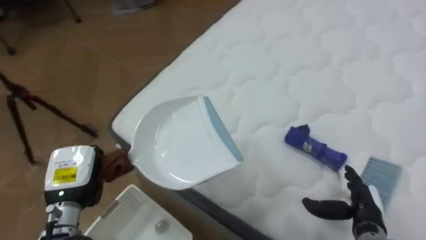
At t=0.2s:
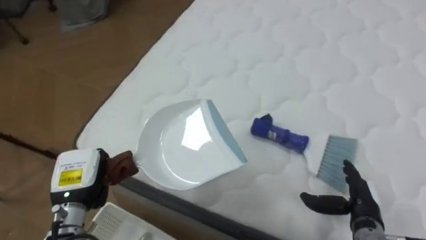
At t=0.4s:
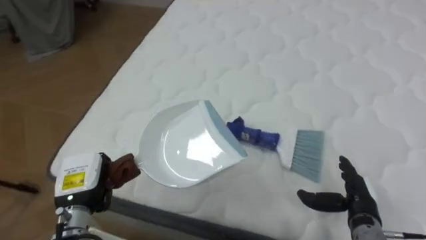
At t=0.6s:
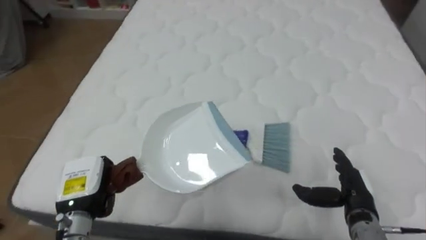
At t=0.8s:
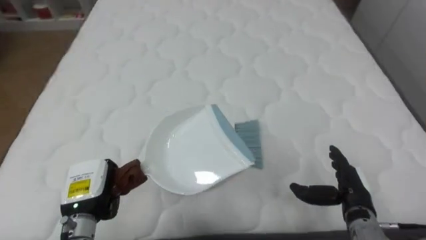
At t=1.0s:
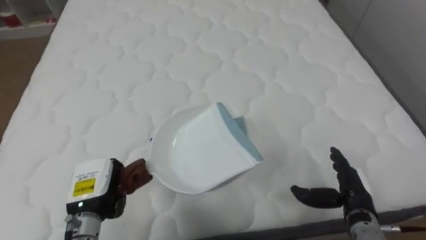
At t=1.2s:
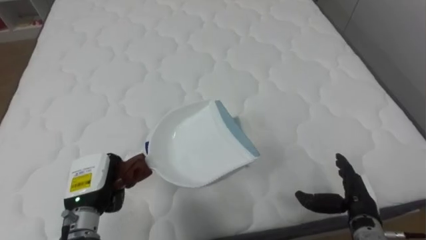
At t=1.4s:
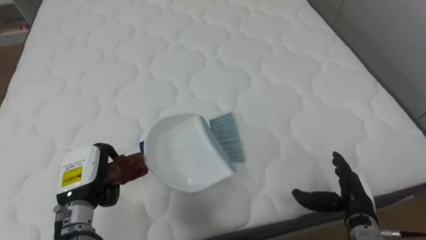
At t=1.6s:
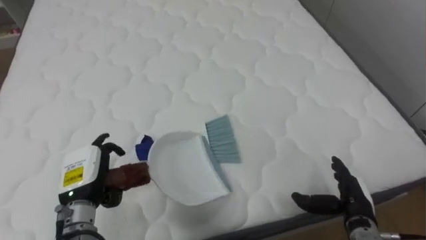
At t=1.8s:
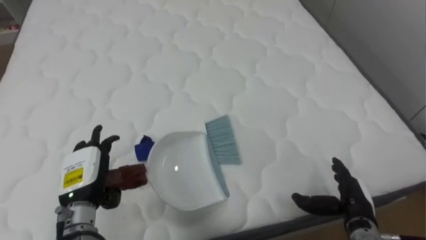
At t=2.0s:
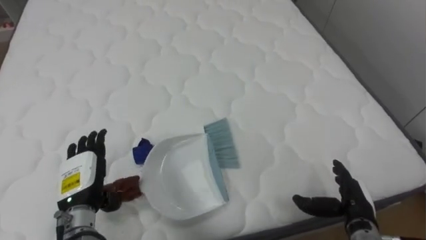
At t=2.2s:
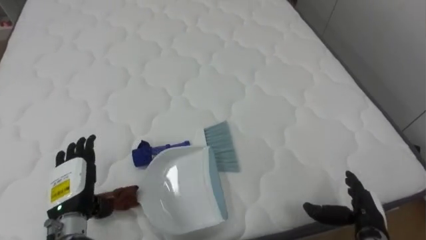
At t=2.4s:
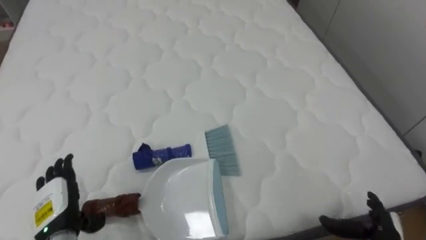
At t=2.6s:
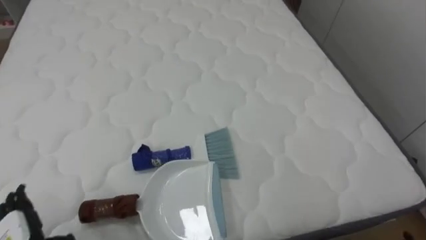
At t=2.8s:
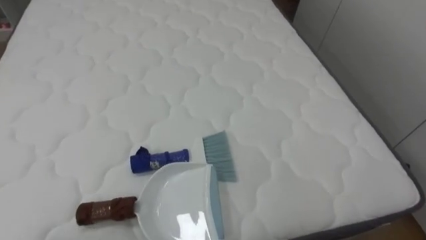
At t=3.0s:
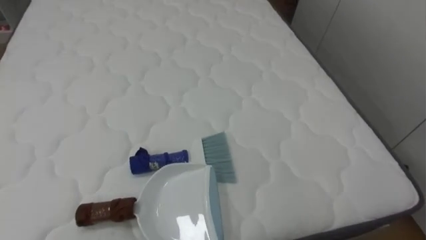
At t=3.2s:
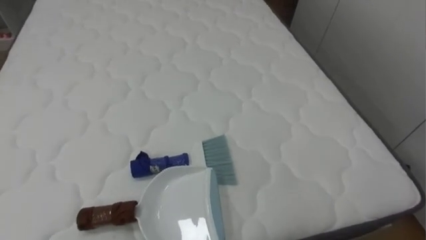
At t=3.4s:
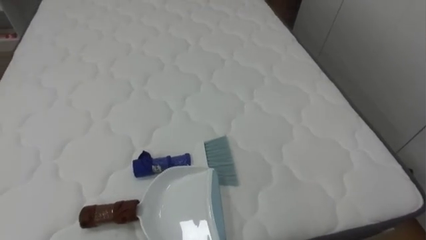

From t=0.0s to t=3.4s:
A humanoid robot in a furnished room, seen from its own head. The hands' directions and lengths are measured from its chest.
Task of the whole recording: Pick up the brush on your right and the dustpan on your left. Use the brush to sweep the crumpled paper on the bed into the dustpan, then turn left and empty it into the basket.
From t=0.0s to t=1.6s: The robot faces approximately 45 degrees further to its right. The left hand opens its fingers.

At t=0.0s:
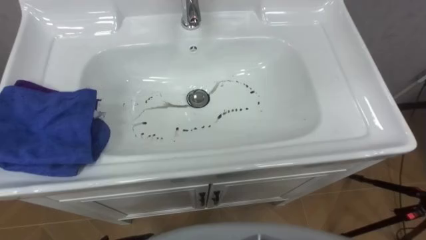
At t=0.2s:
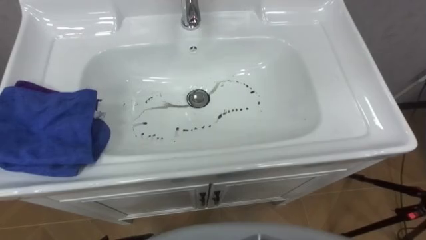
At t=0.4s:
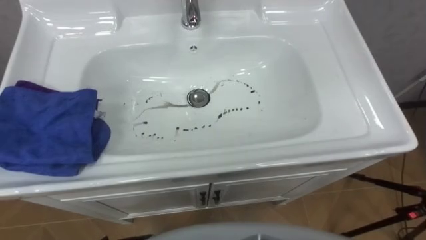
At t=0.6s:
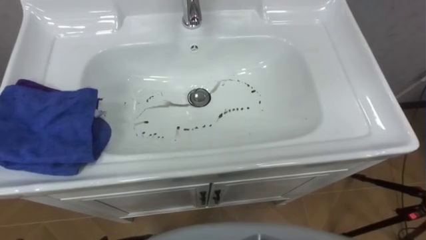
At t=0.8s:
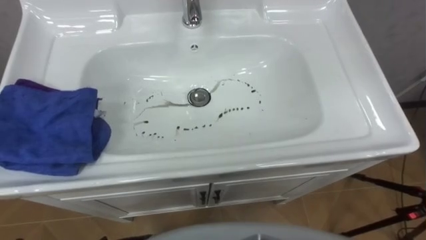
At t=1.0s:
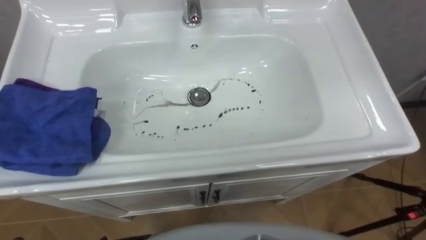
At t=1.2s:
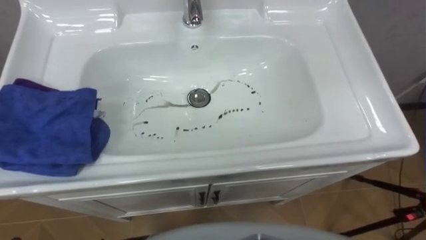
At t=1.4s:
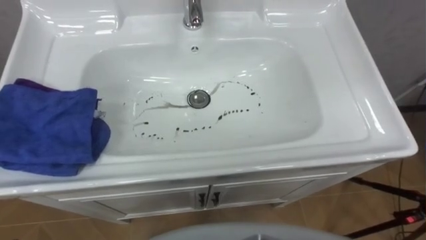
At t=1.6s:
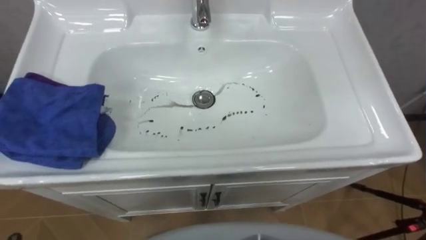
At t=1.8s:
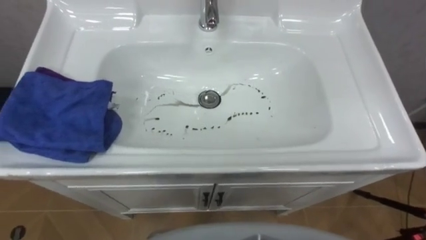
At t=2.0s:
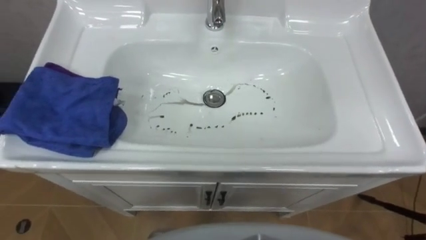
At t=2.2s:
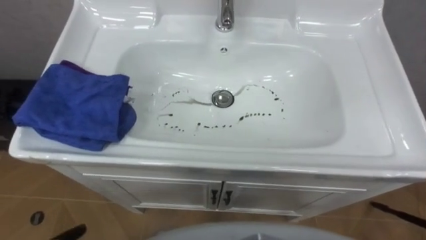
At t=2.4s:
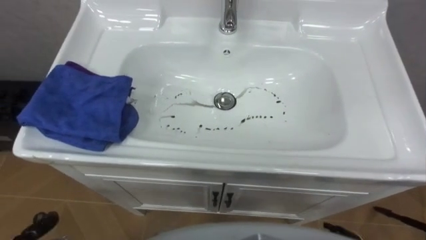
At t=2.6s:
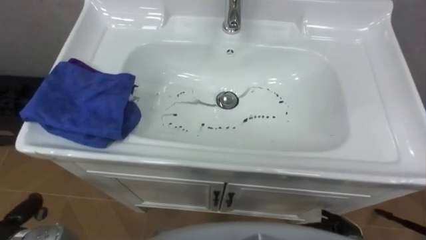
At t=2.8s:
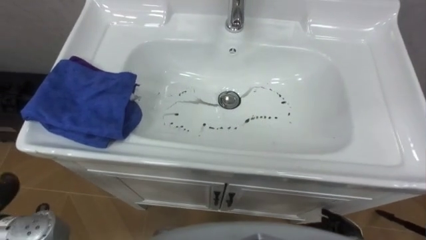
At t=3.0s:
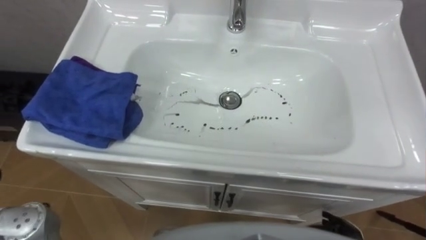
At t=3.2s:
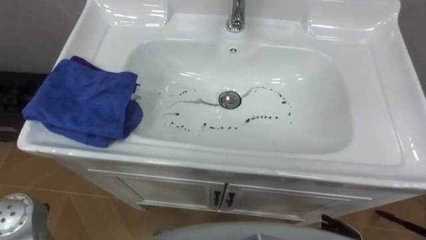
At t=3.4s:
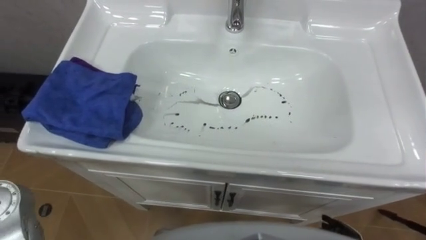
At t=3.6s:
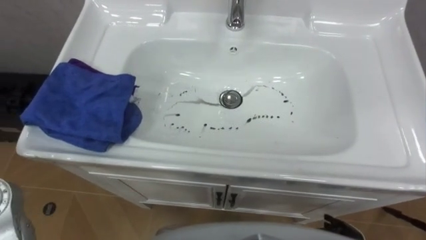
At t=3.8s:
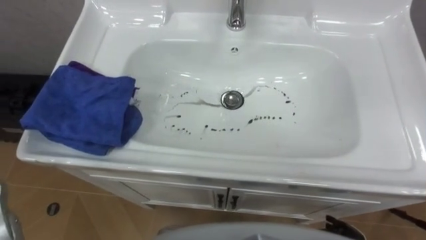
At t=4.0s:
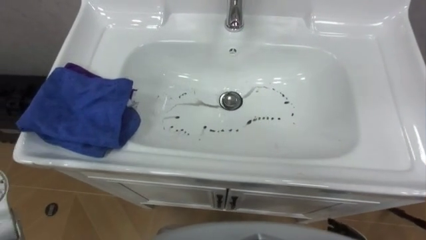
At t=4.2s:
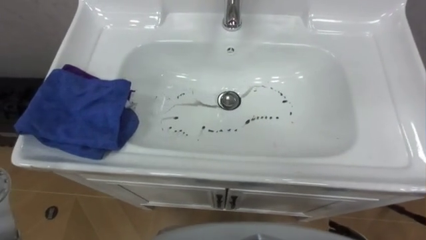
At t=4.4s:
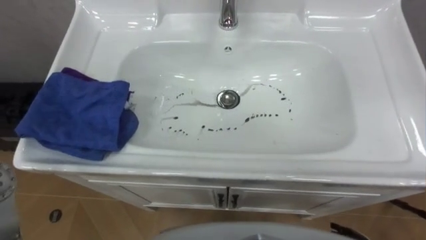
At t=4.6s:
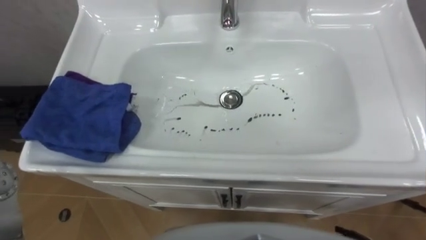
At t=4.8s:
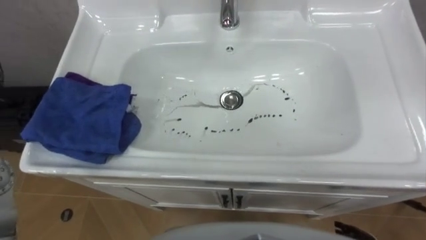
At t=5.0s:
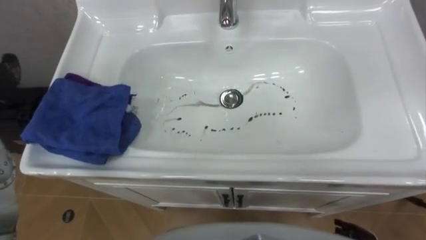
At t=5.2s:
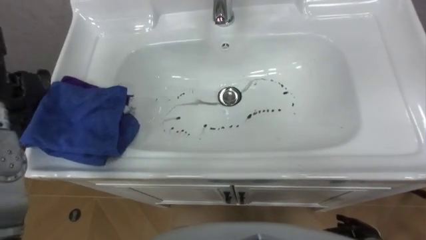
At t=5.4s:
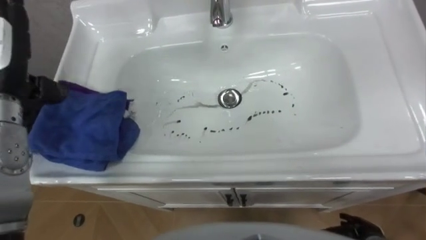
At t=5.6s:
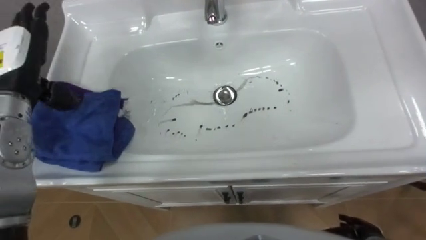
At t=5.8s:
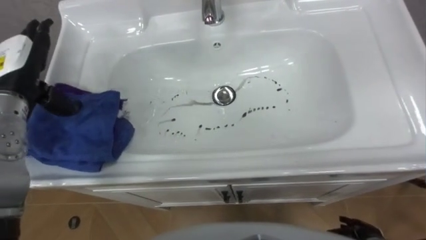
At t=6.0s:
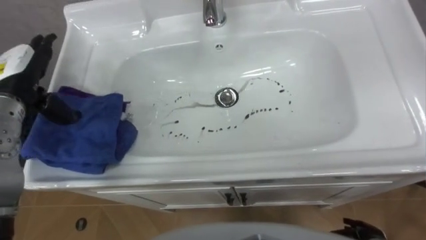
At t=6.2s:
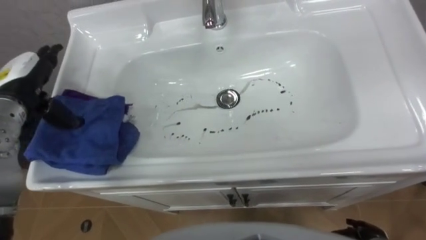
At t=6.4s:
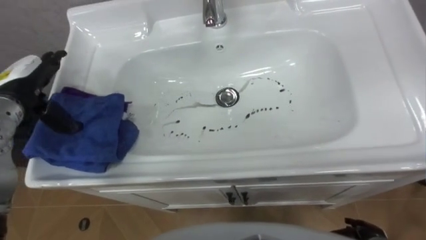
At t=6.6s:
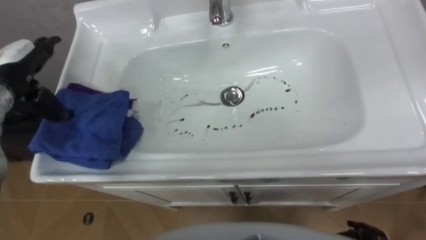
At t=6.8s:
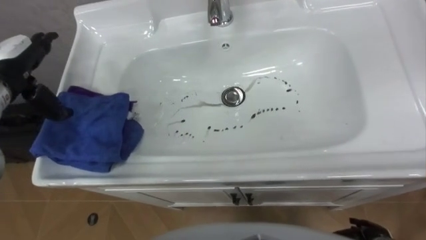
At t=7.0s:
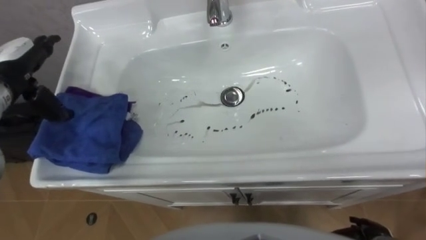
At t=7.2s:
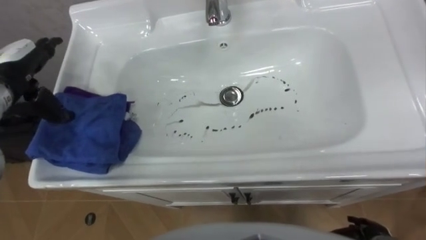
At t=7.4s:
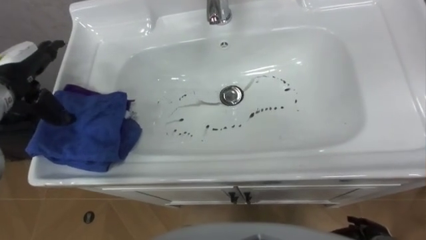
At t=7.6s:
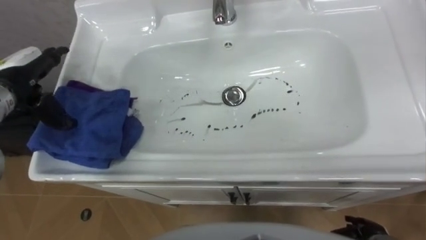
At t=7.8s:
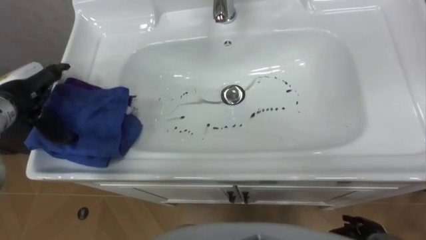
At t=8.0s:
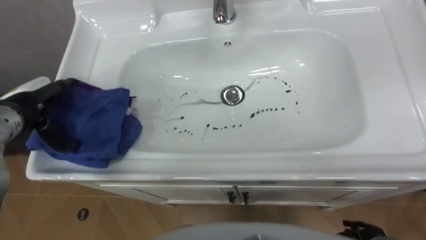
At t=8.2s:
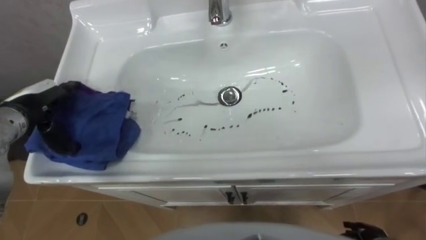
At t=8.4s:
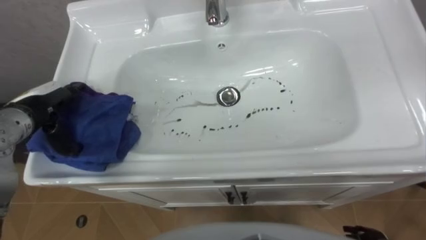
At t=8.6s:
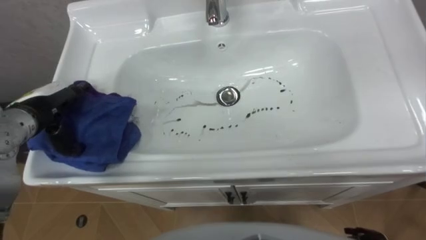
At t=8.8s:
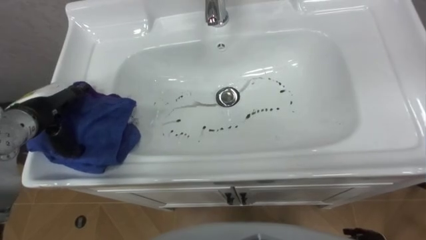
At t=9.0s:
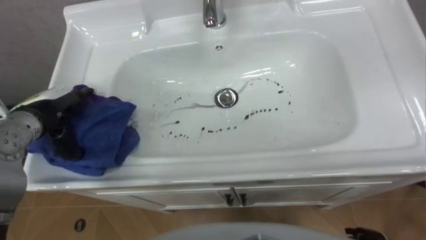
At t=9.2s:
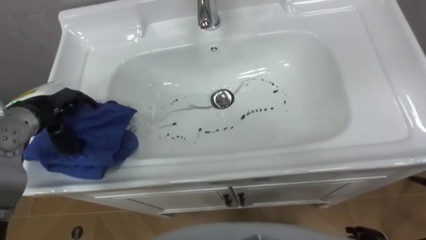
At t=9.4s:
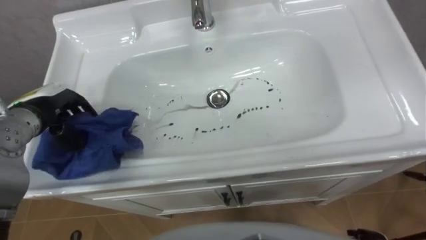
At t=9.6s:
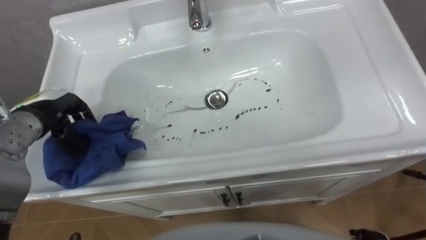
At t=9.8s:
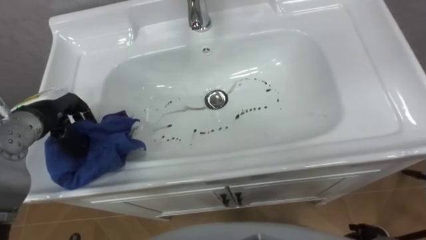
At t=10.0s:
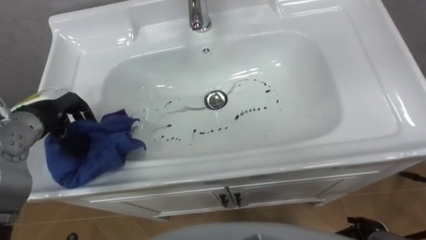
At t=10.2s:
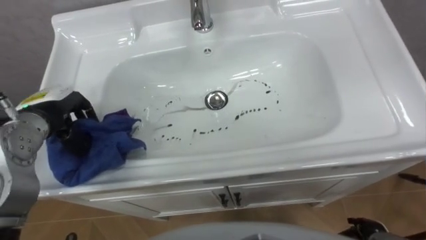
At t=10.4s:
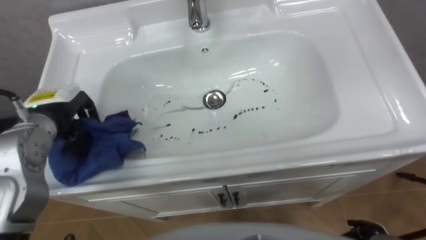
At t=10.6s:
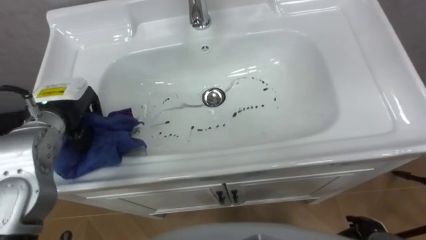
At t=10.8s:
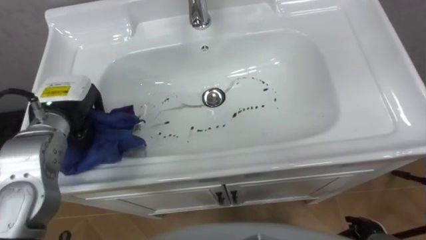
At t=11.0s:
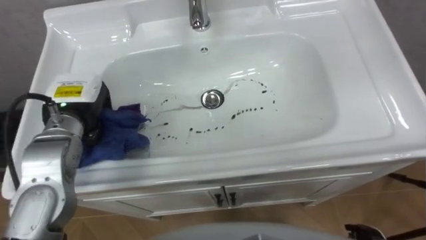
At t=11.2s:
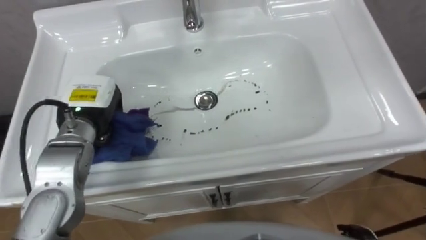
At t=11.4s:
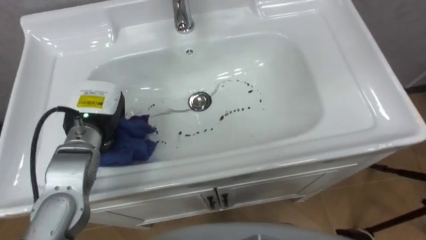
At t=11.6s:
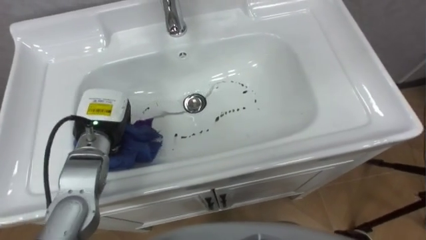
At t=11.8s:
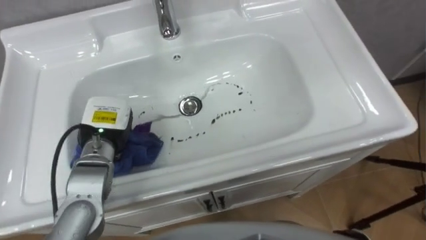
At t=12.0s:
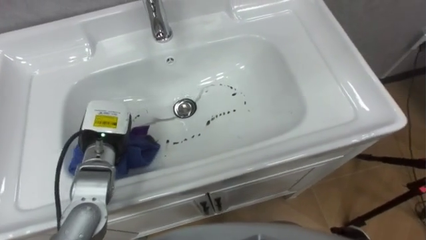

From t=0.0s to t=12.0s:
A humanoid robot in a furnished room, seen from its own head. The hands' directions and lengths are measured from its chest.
Task of the whole recording: Use the cloth on the right to wipe away the black stain in the sink.
From t=7.6s to t=9.0s: The left hand heads downward, covering about 5 cm.
From t=9.0s to t=10.4s: The left hand closes.
From t=10.4s to t=12.0s: The left hand is displaced to the right and downward by roughly 10 cm.

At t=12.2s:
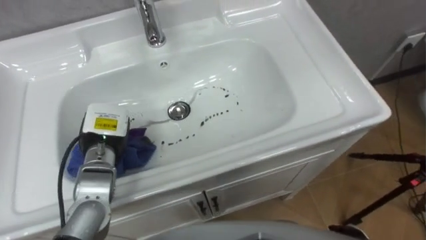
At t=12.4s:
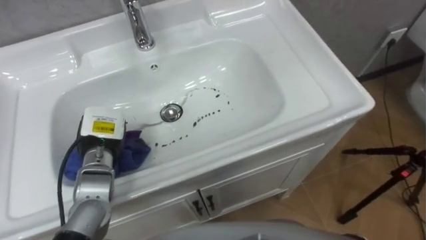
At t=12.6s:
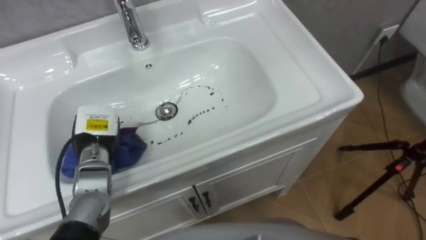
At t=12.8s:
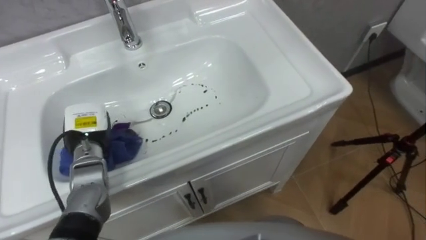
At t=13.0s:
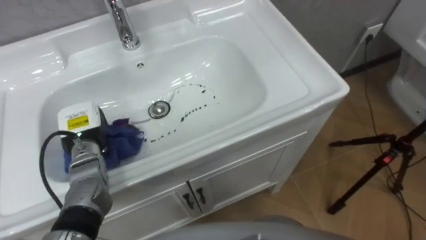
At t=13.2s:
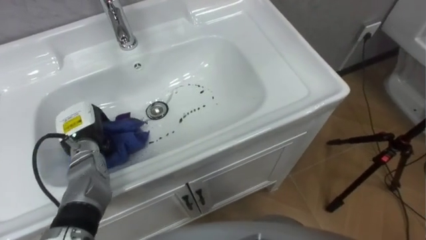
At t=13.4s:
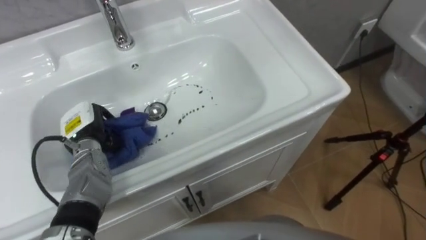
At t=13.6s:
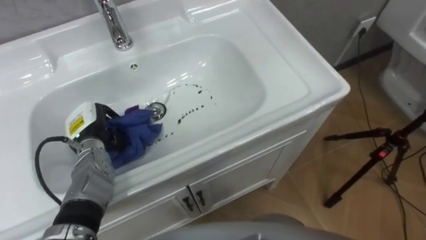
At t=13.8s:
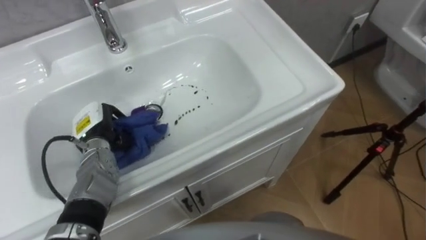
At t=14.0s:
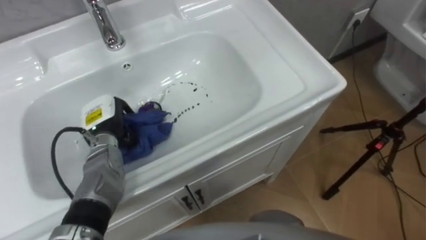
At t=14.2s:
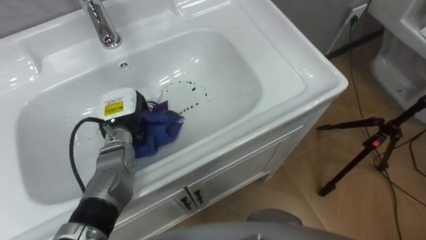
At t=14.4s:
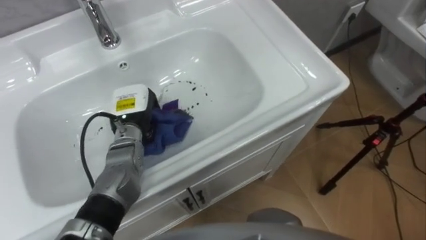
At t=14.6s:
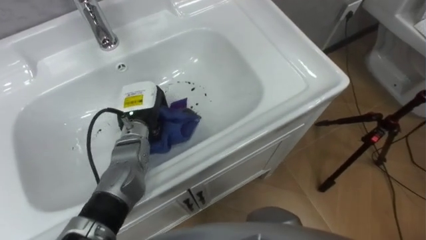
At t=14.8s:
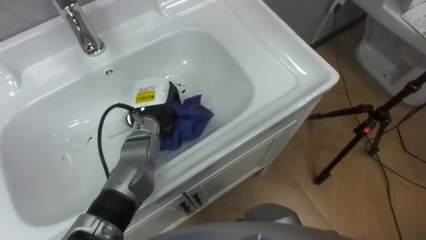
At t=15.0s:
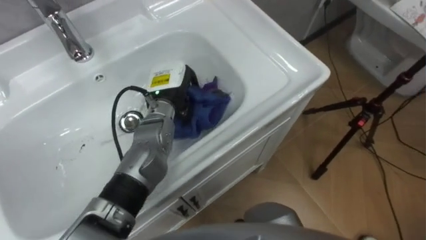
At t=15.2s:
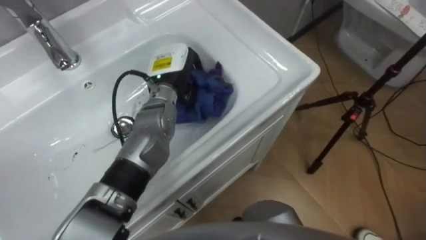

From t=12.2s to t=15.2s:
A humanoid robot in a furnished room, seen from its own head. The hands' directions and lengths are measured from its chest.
Task of the whole recording: Use the cloth on the right to wipe away the black stain in the sink.
From t=12.2s to t=13.8s: The left hand moves about 5 cm.
From t=13.8s to t=15.2s: The left hand moves to the right, upward and forward, some 20 cm.
